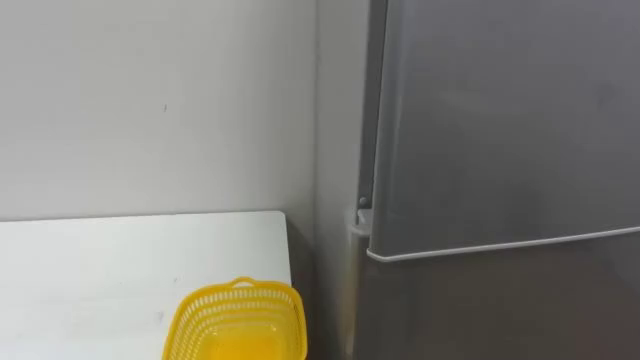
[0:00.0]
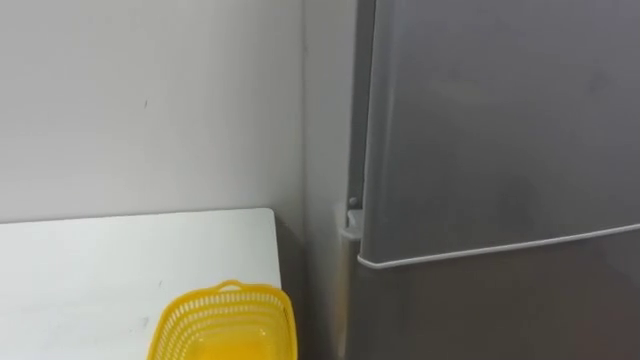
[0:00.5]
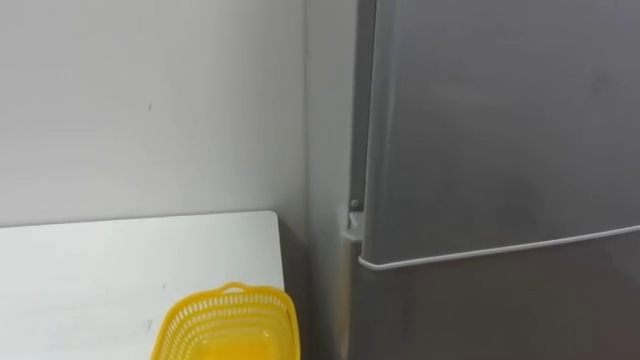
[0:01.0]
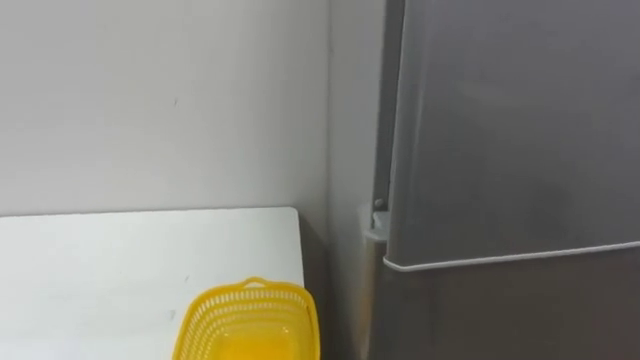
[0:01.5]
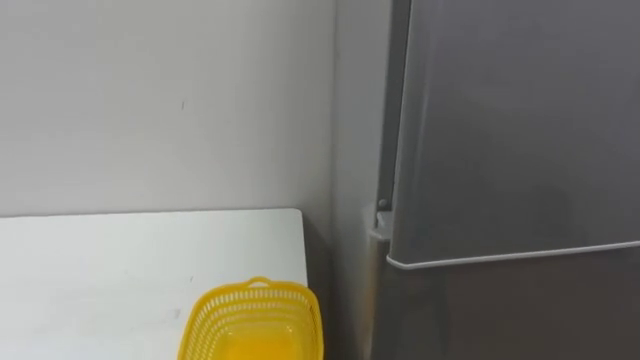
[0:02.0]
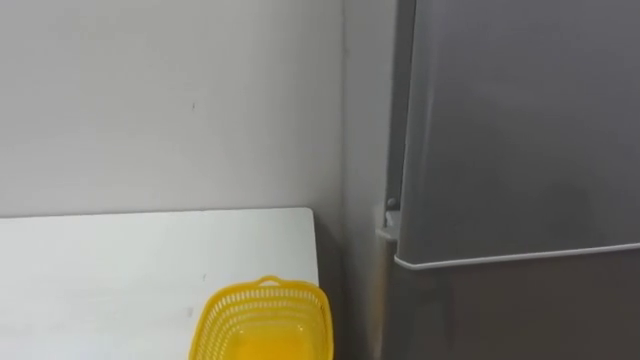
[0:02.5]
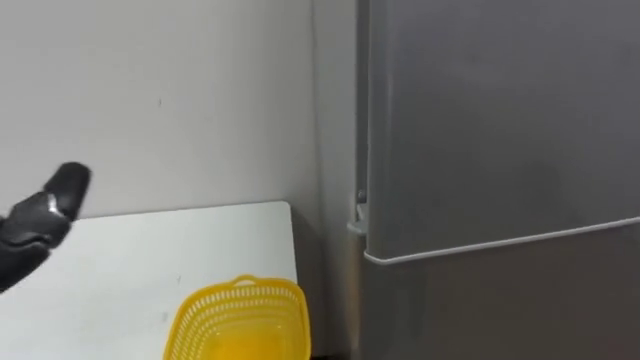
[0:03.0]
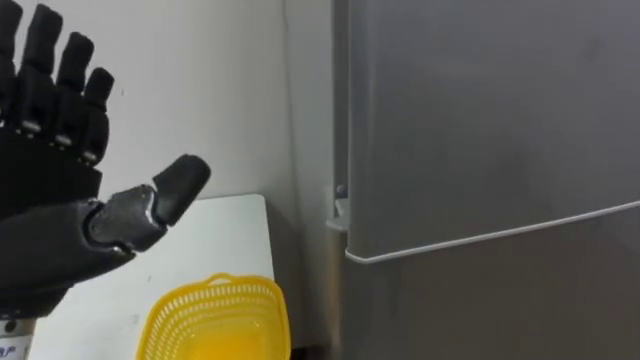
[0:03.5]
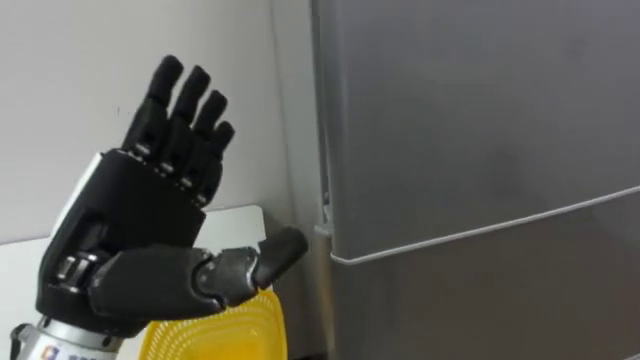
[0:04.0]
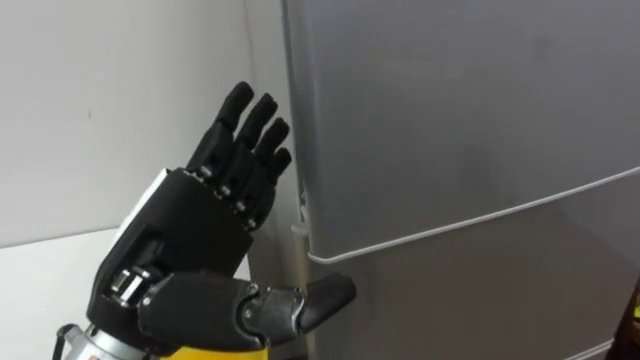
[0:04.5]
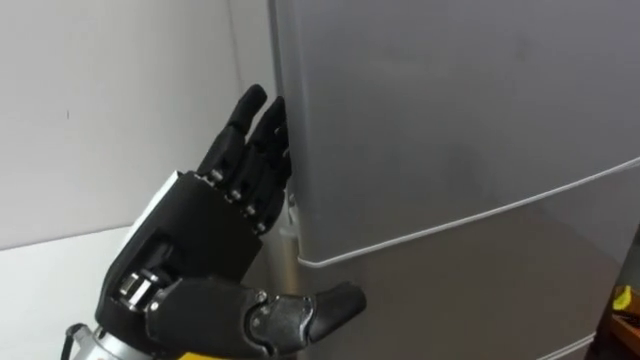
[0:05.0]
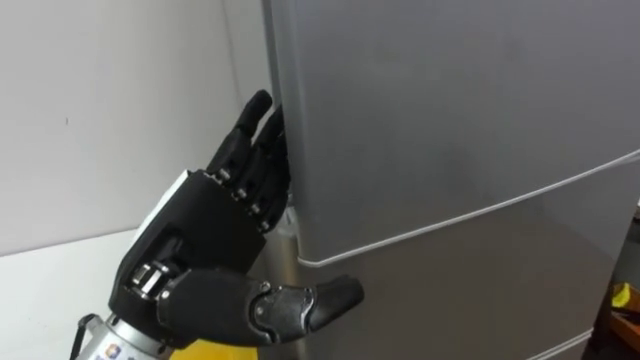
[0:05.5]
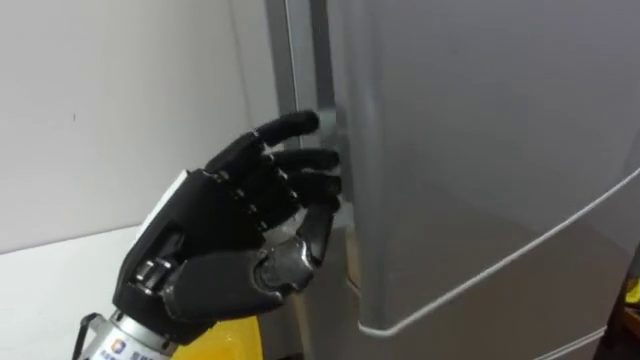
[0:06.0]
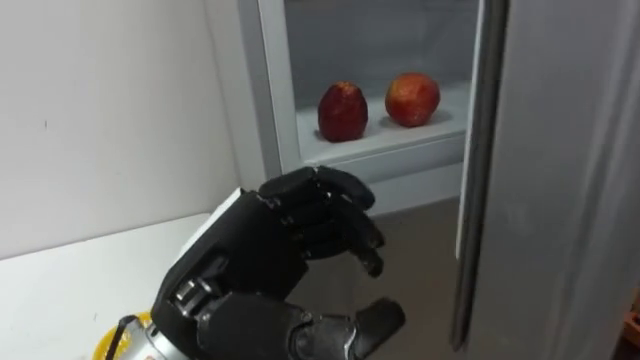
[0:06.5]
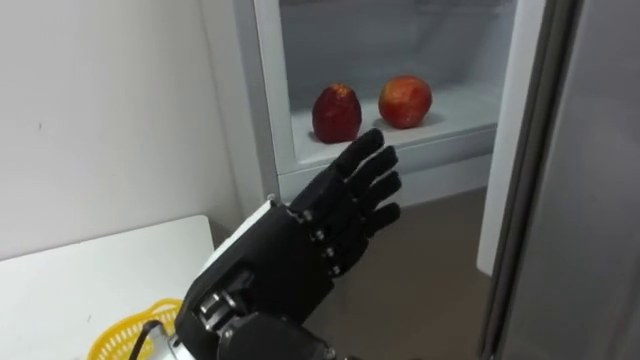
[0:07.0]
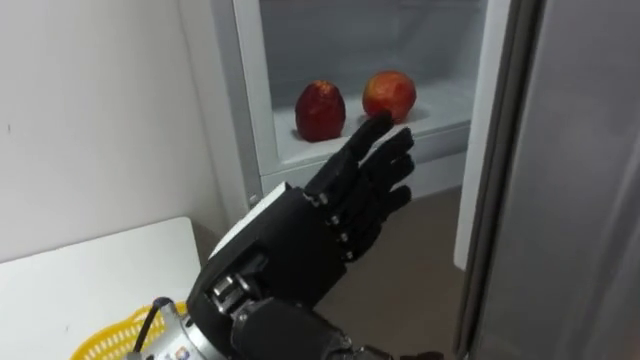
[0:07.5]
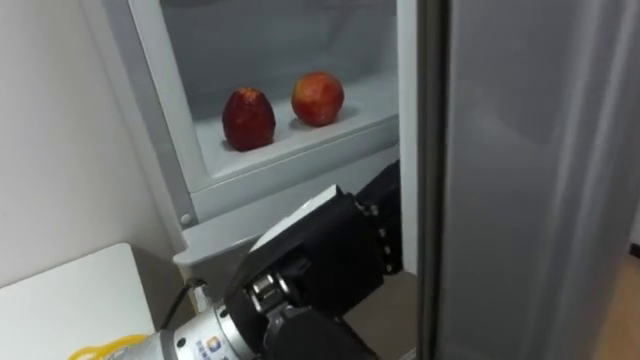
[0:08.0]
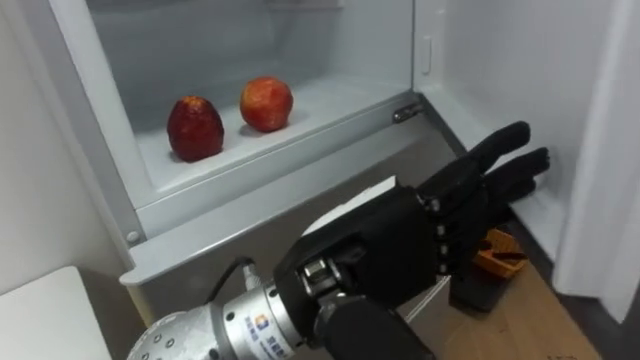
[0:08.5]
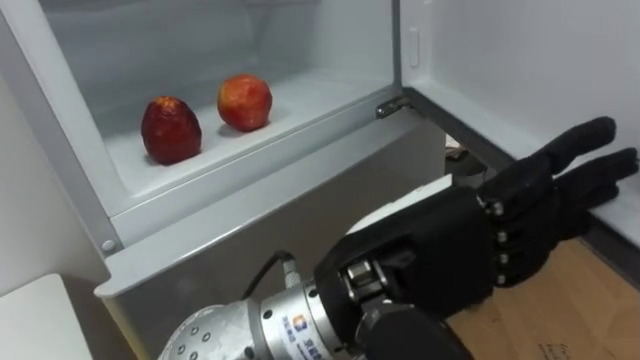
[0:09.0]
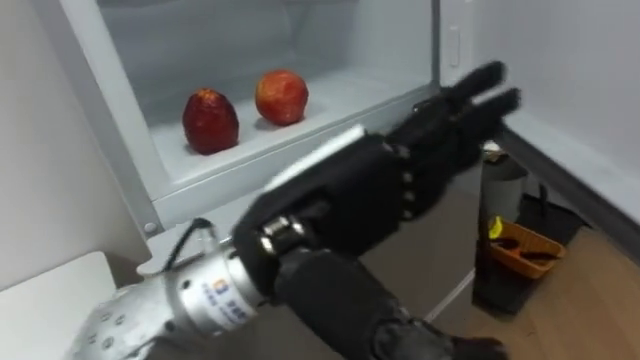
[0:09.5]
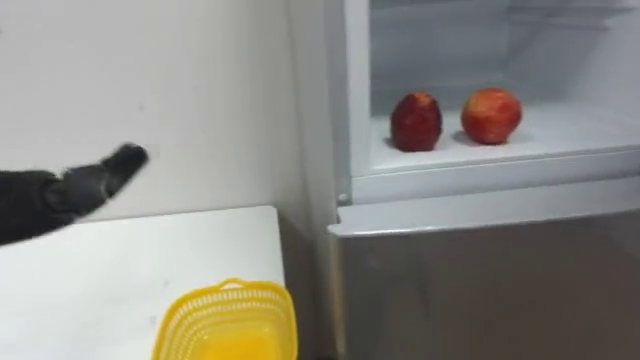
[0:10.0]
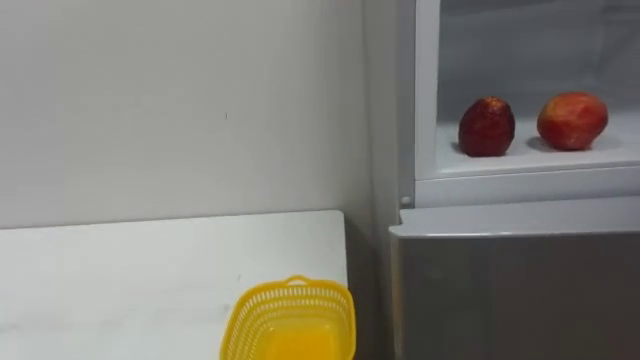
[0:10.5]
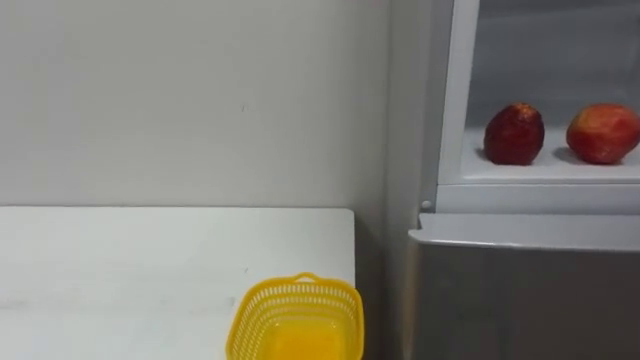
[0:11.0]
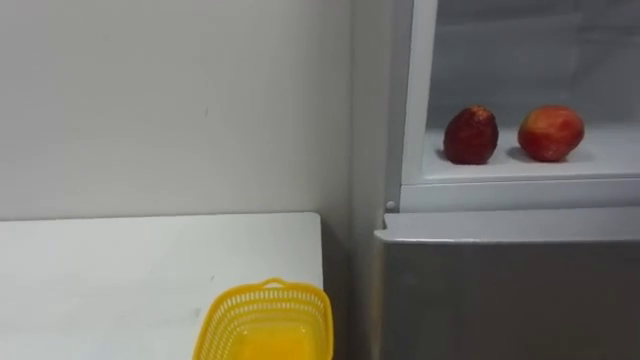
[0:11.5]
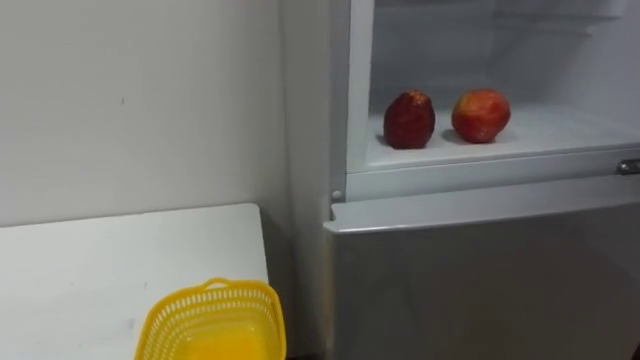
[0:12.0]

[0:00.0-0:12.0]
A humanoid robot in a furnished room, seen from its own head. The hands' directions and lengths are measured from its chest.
Task of the whole recording: Open the refrigerator door, take out the apple and the pomegranate, place them in the fruit basket on the left, and close the refrigerator door.
0:04.0 to 0:06.0: The left hand closes.
0:06.0 to 0:08.0: The left hand is displaced to the right by roughly 10 cm, and opens its fingers.

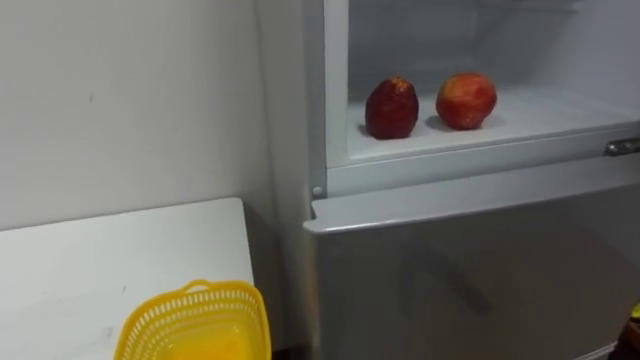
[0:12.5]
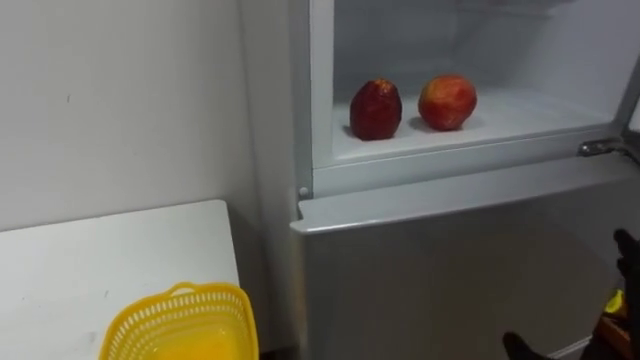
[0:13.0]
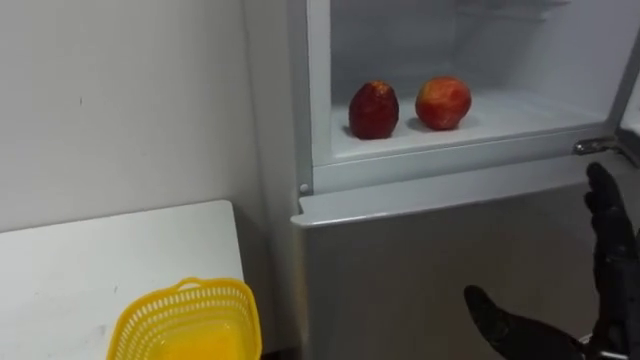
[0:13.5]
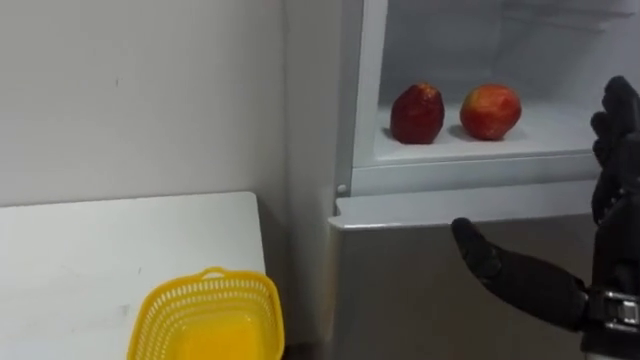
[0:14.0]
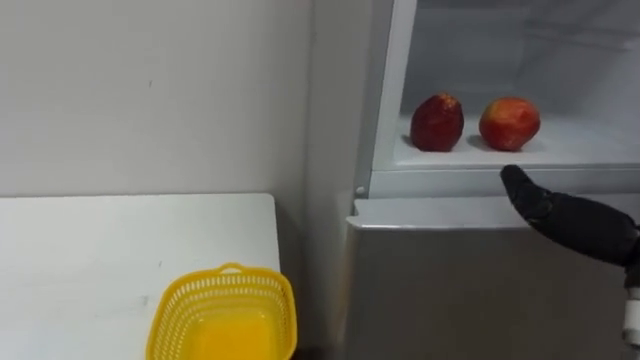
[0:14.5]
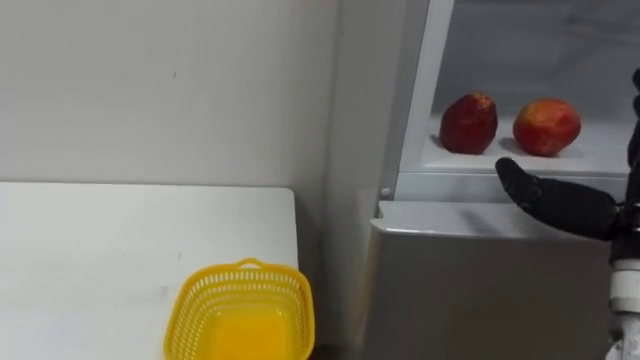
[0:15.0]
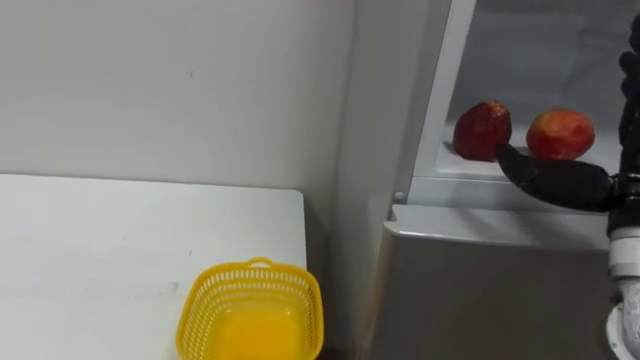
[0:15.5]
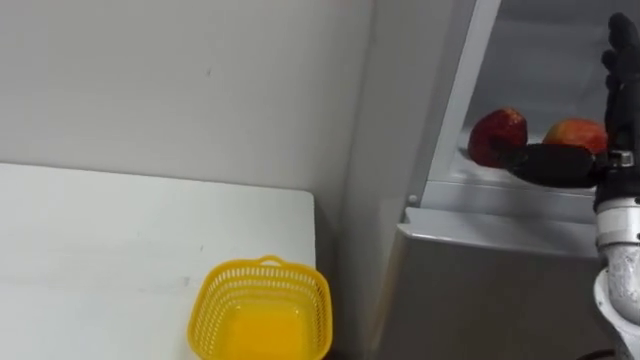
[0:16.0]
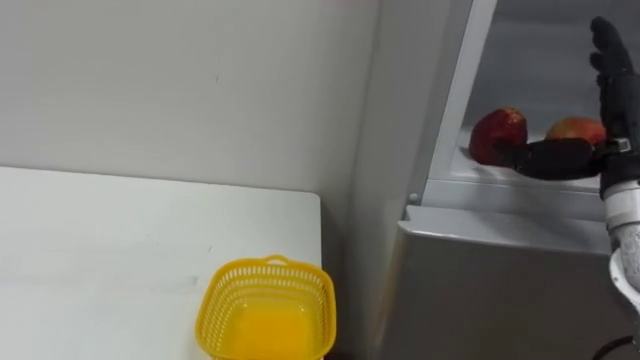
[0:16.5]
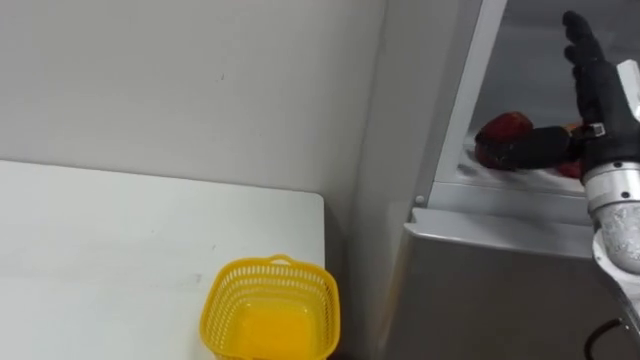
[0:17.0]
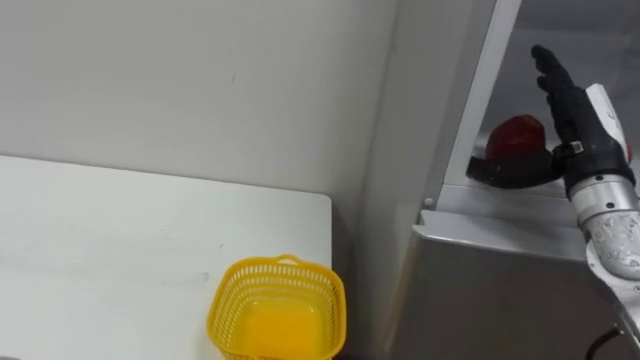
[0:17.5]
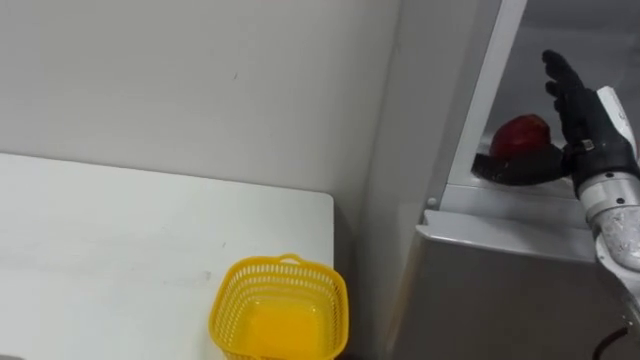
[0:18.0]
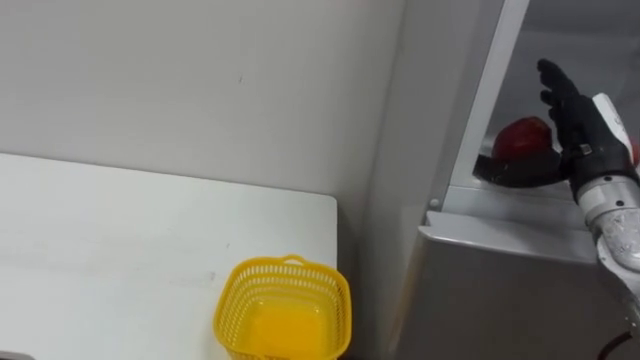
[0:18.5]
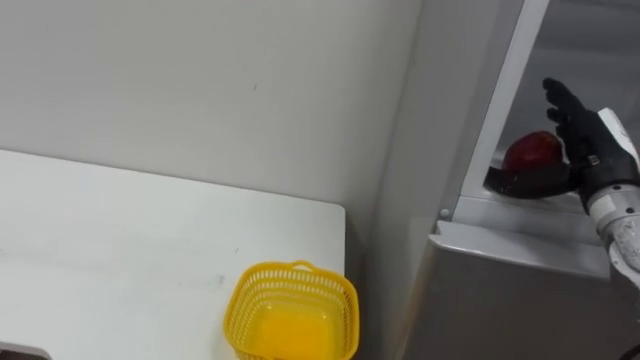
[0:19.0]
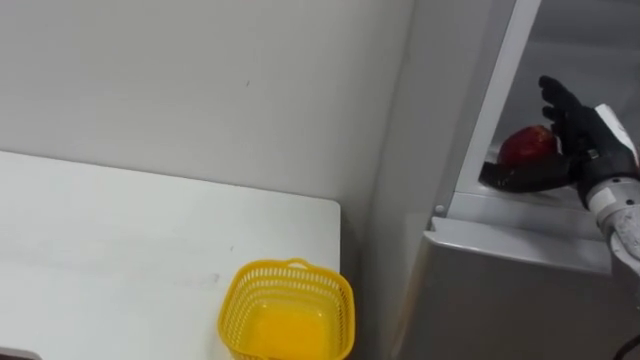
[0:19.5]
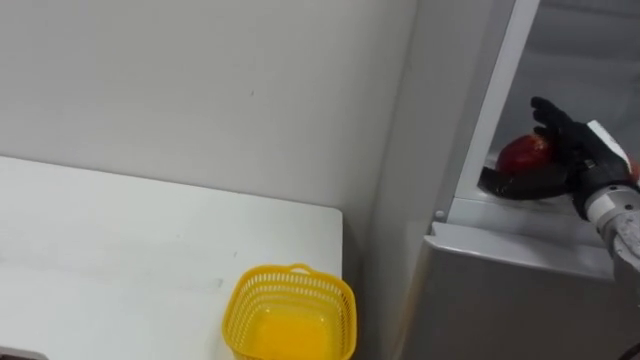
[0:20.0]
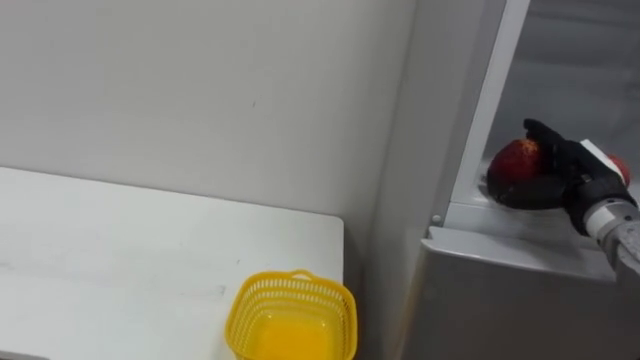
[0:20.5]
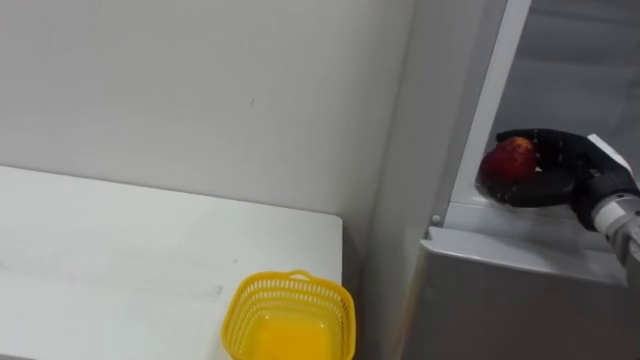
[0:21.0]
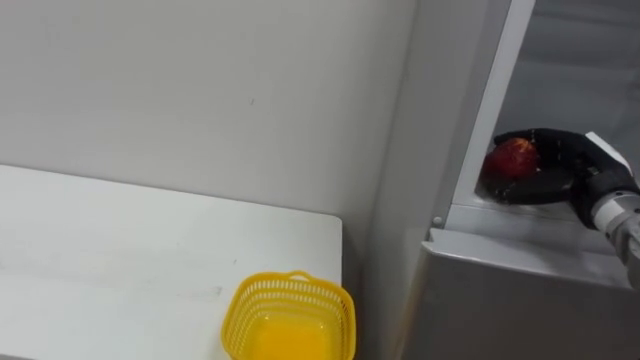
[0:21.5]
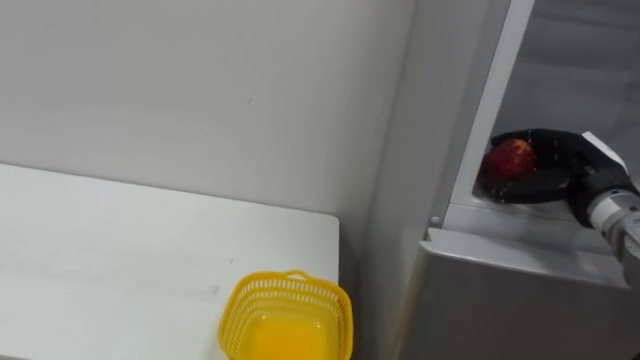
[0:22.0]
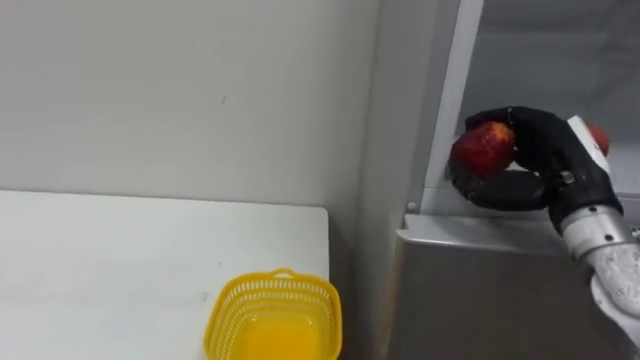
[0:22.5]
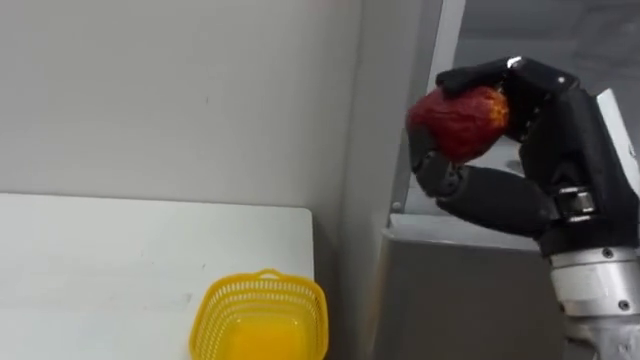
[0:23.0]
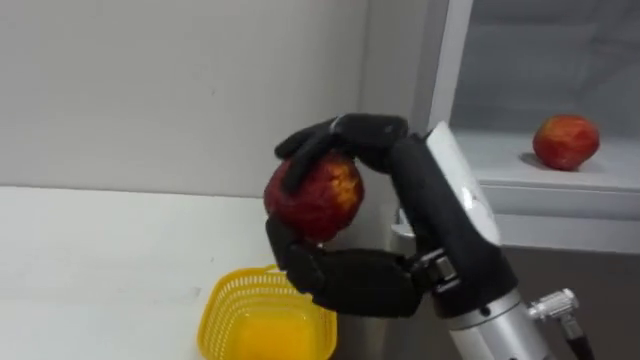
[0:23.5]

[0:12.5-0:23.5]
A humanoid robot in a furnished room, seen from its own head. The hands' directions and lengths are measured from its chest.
Task of the whole recording: Open the refrigerator door, take out the apple and the pomegranate, place them in the fruit basket on the left, and close the refrigerator door.
0:16.0 to 0:18.0: The right hand shifts approximately 5 cm forward.
0:18.0 to 0:20.0: The right hand changes place by roughly 5 cm.
0:20.0 to 0:21.5: The right hand closes up.
0:21.5 to 0:23.5: The right hand shifts some 30 cm to the left, backward and upward.
